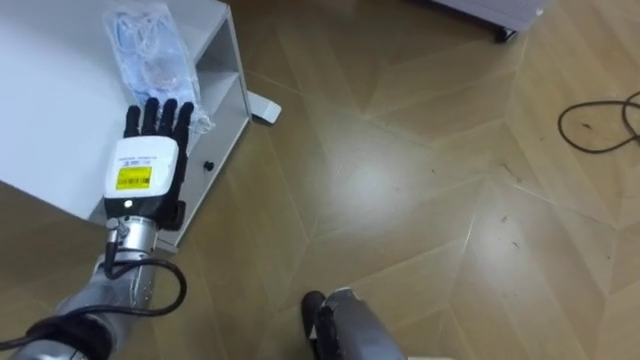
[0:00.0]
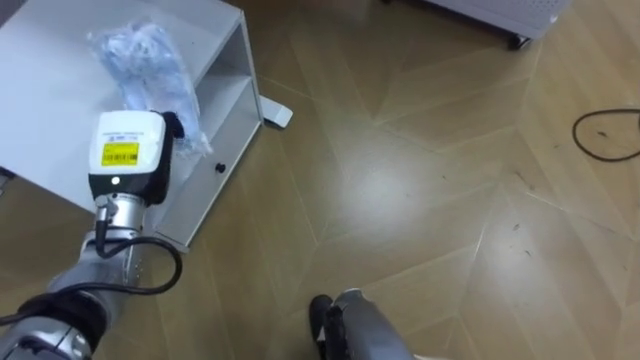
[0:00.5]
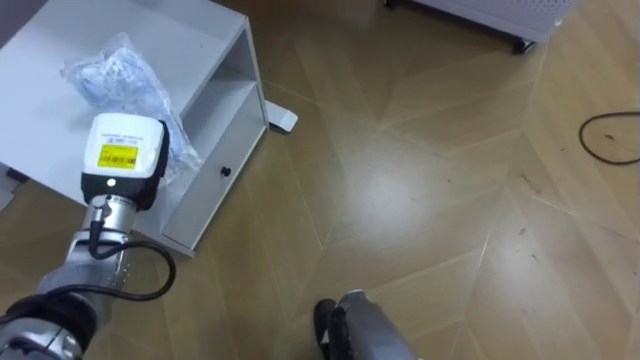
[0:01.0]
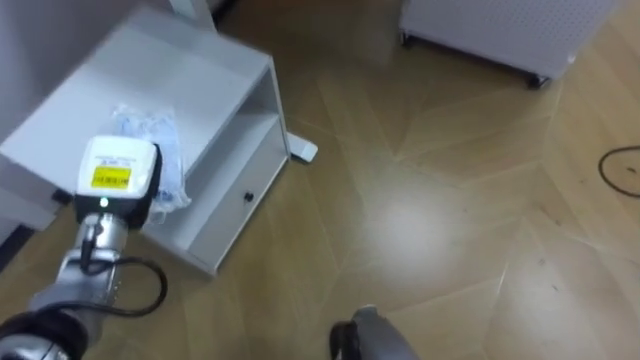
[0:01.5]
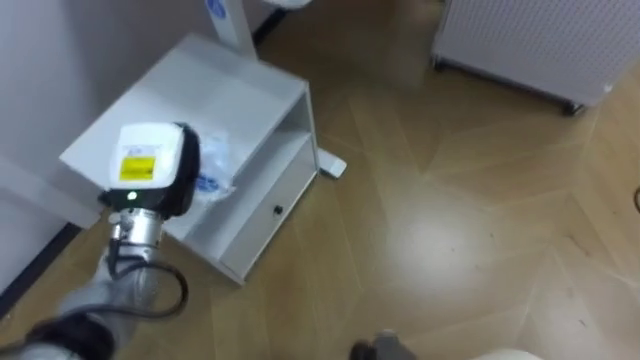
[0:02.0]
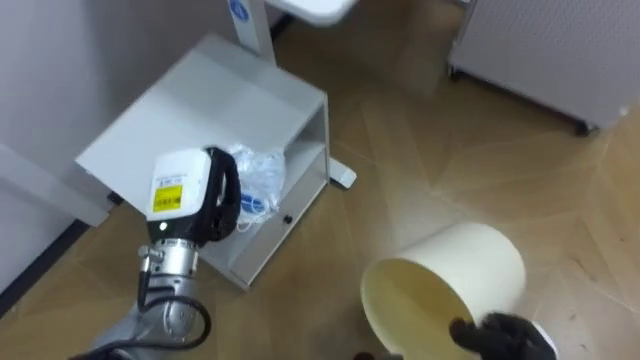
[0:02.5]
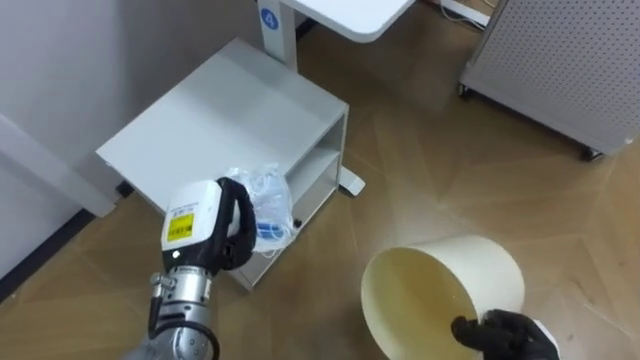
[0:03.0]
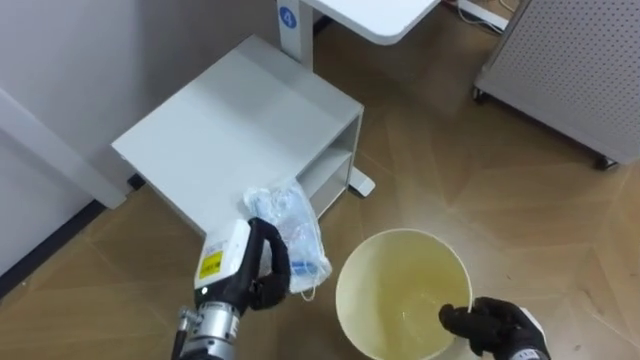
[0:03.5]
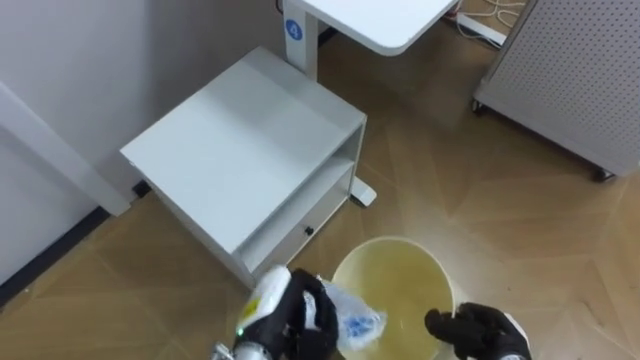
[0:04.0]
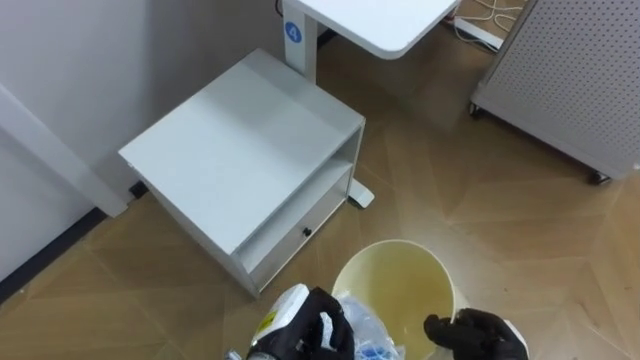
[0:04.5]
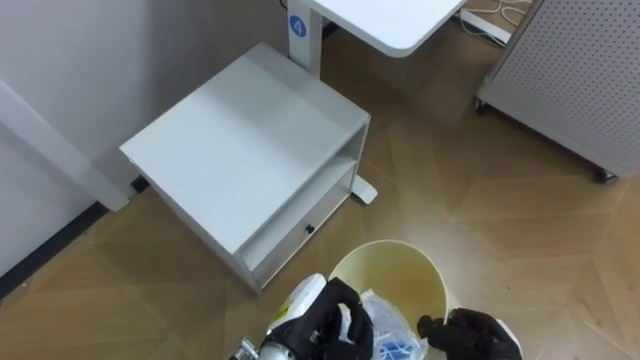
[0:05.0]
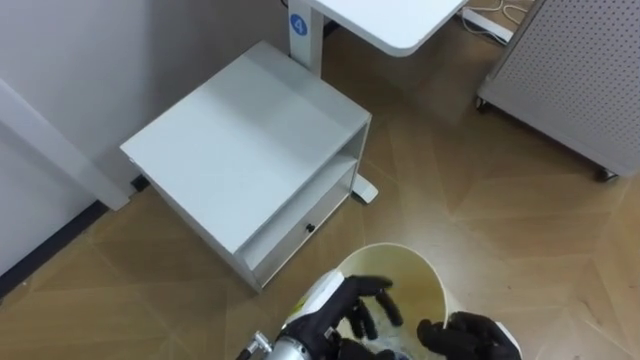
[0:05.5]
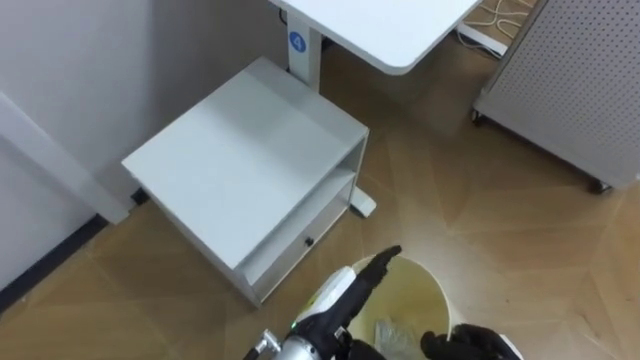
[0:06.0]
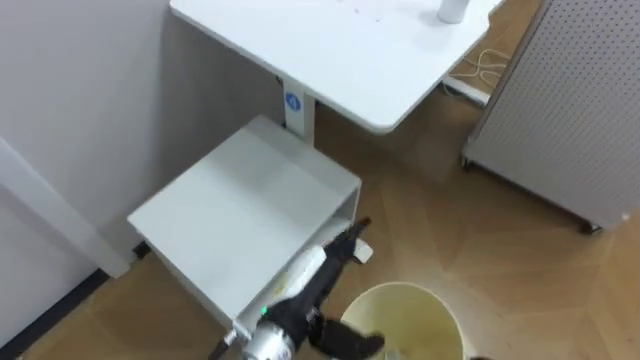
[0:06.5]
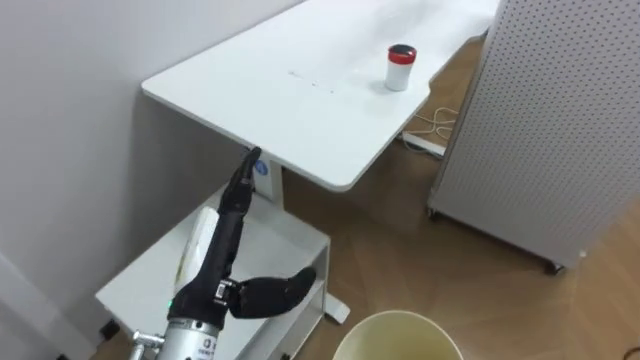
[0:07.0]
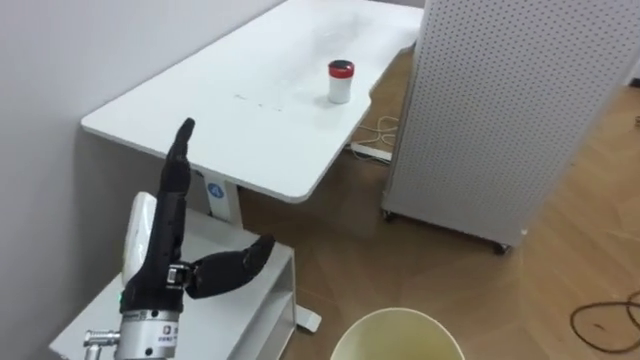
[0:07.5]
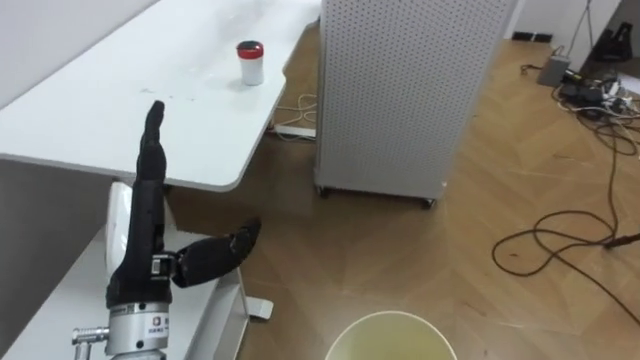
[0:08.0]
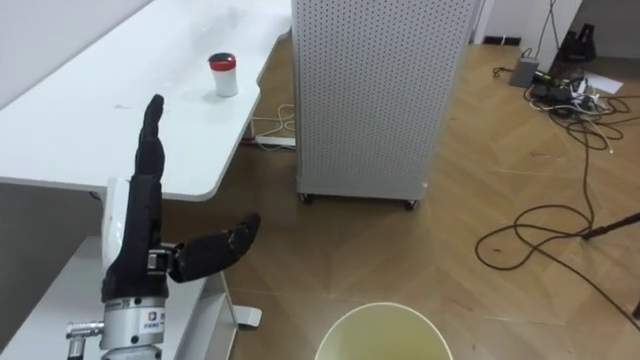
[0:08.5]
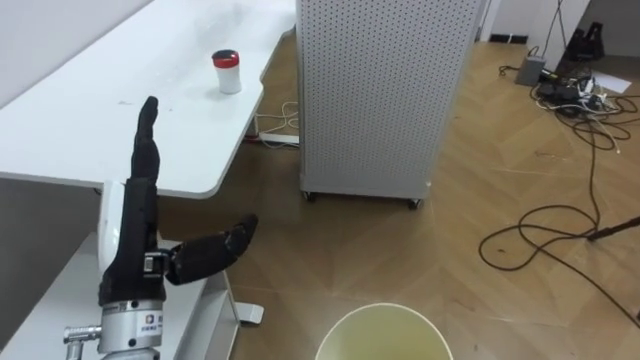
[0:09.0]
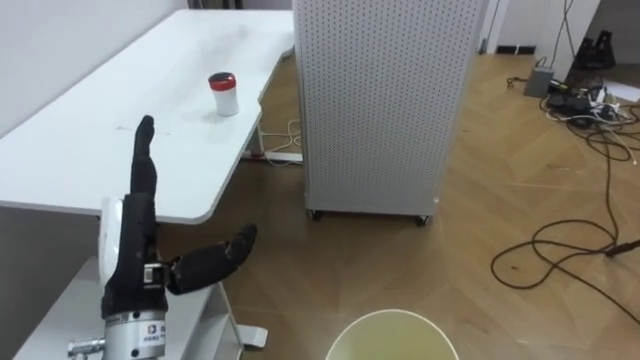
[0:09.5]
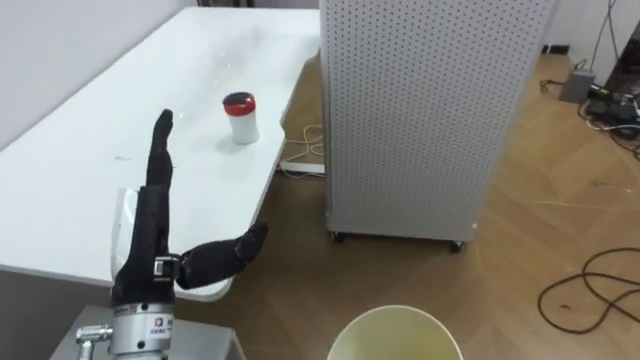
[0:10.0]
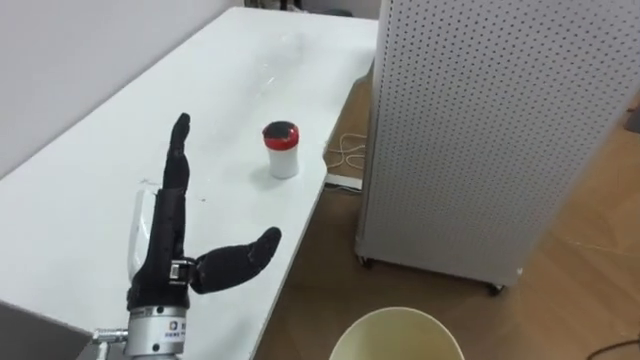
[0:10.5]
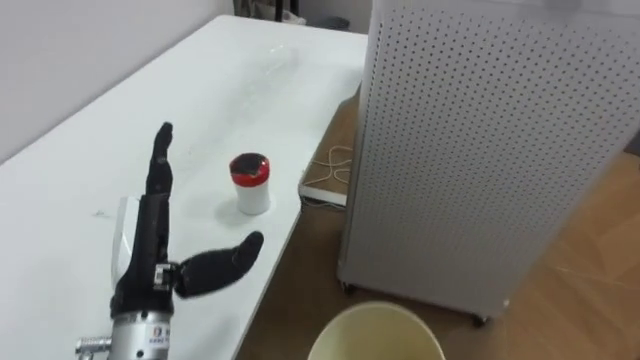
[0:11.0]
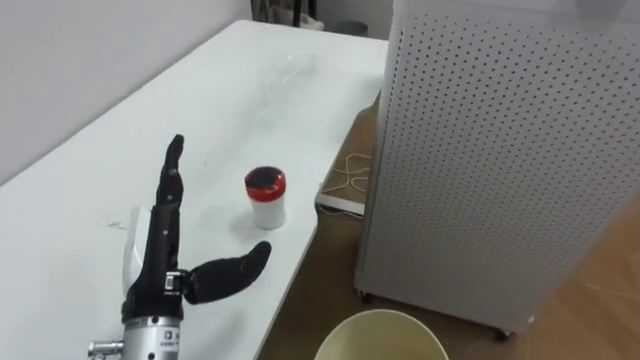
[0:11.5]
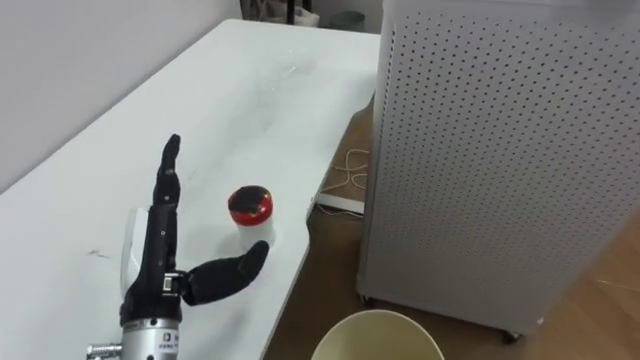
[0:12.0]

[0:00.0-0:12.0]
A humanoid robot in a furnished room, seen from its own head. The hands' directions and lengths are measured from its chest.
Task of the whole recording: Pick up the light blue package, the candy box, and the dark blue package separately, and put them into the trash can held in your right hand.
0:00.0 to 0:02.0: The left hand closes its fingers.
0:02.0 to 0:04.0: The left hand is displaced downward, to the right and backward by roughly 25 cm.
0:04.0 to 0:06.0: The left hand travels to the right by roughly 10 cm, and opens.
0:06.0 to 0:08.0: The robot's body swings some 30 degrees to its right. The left hand heads to the left and upward, covering roughly 25 cm.

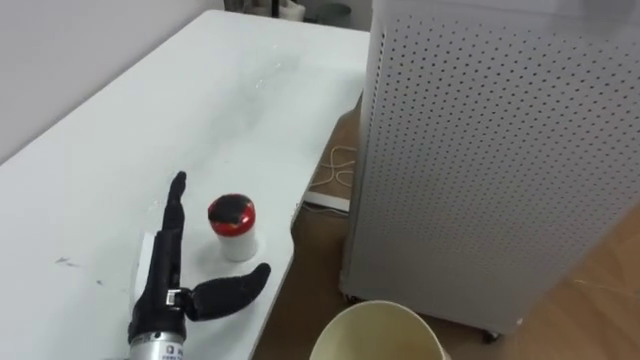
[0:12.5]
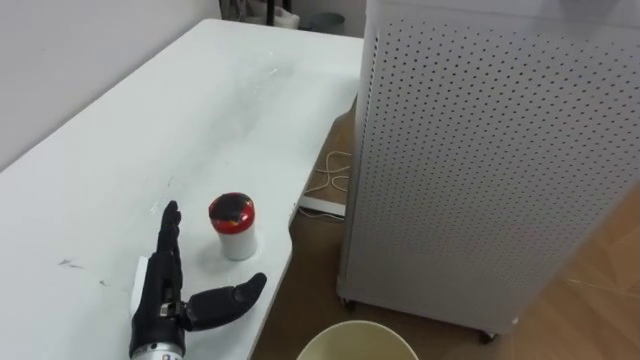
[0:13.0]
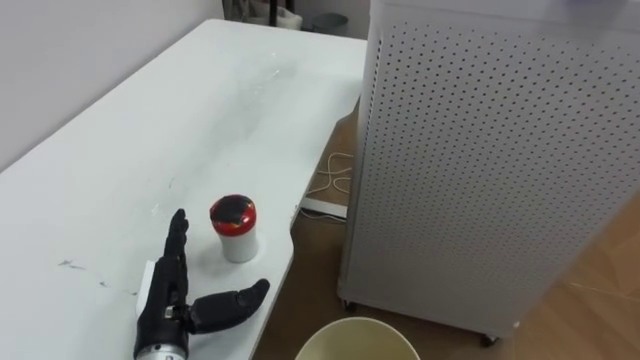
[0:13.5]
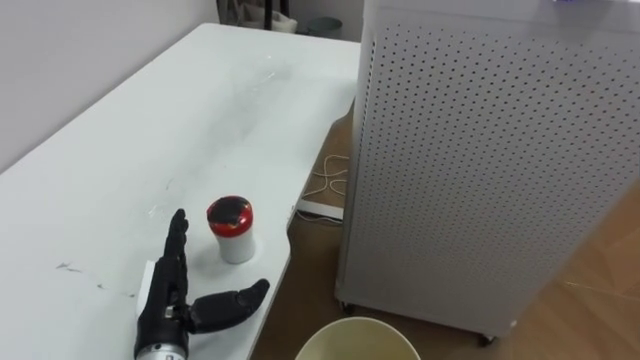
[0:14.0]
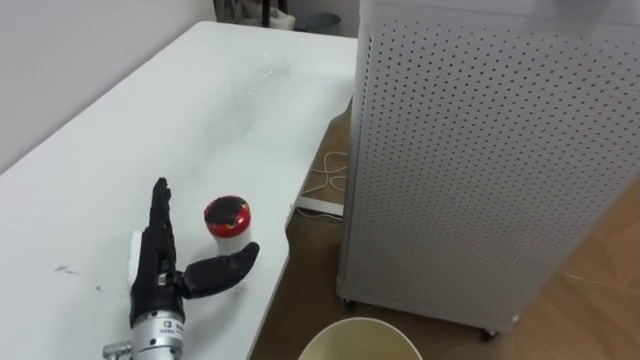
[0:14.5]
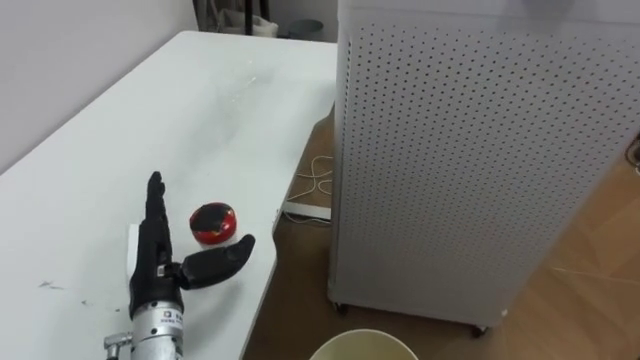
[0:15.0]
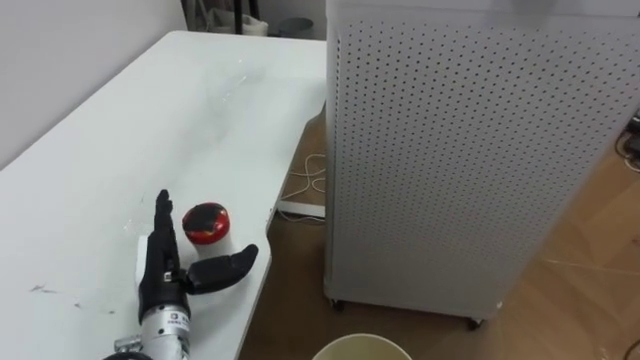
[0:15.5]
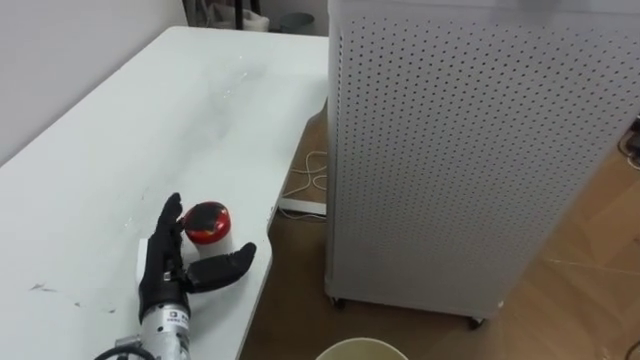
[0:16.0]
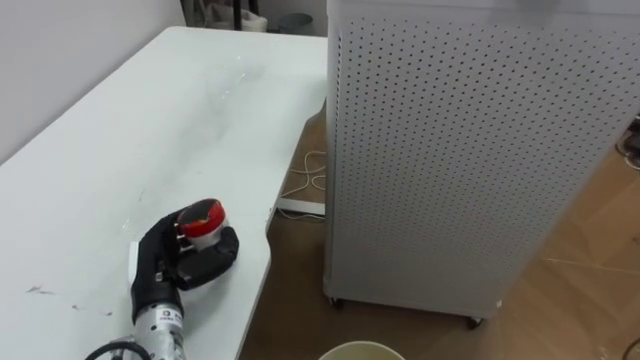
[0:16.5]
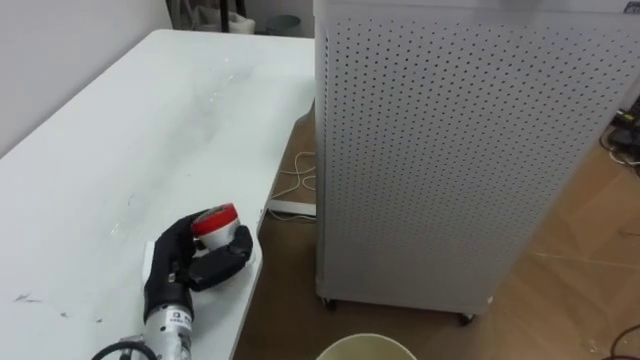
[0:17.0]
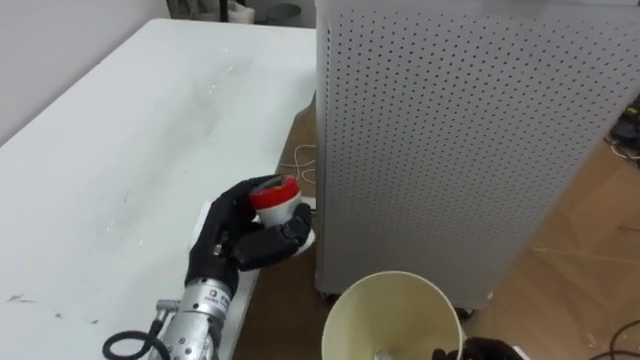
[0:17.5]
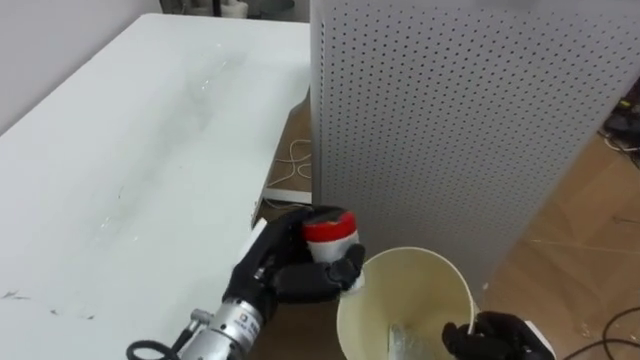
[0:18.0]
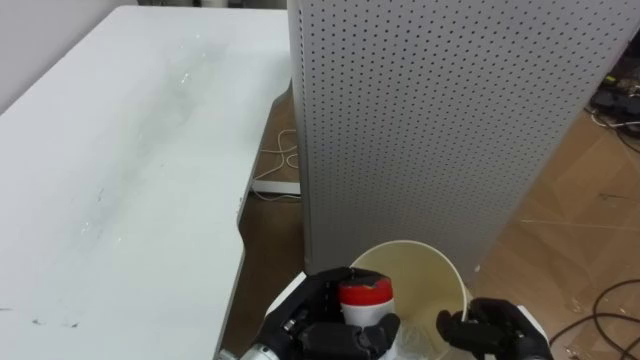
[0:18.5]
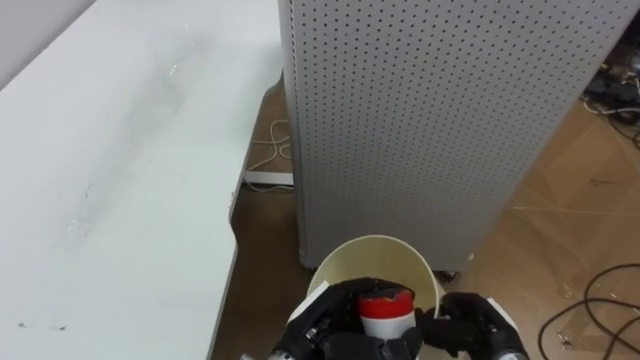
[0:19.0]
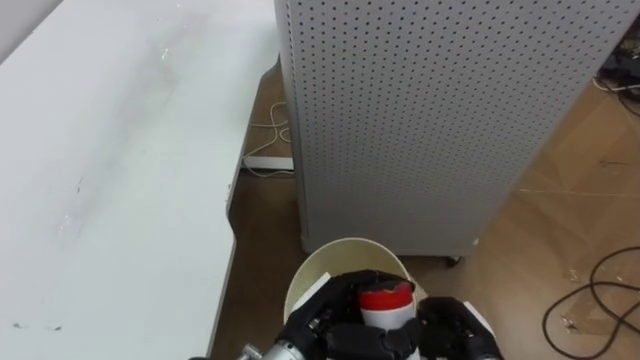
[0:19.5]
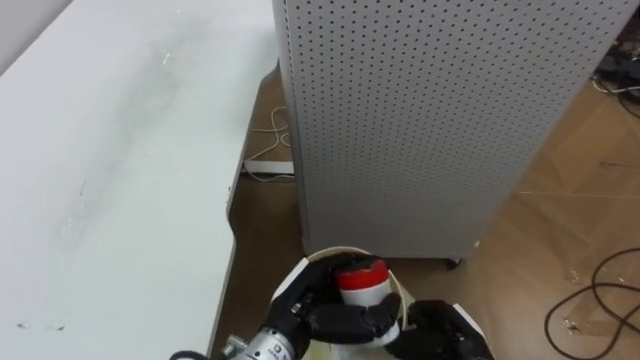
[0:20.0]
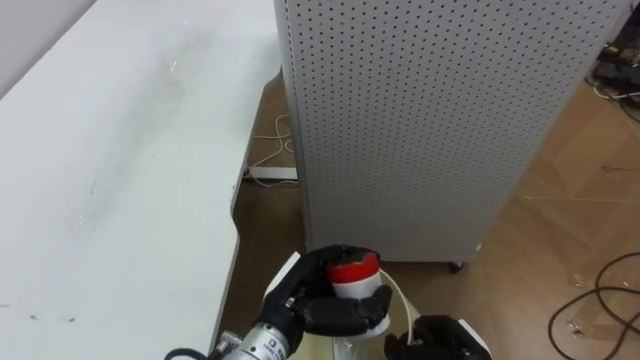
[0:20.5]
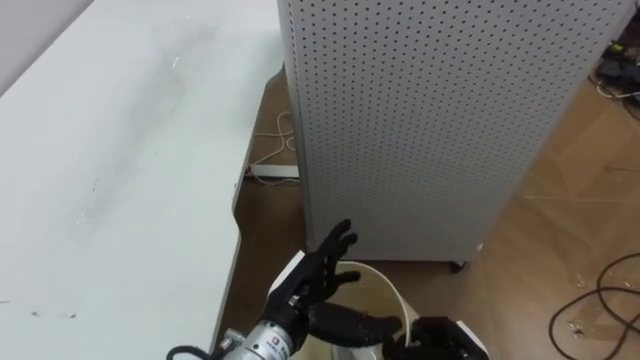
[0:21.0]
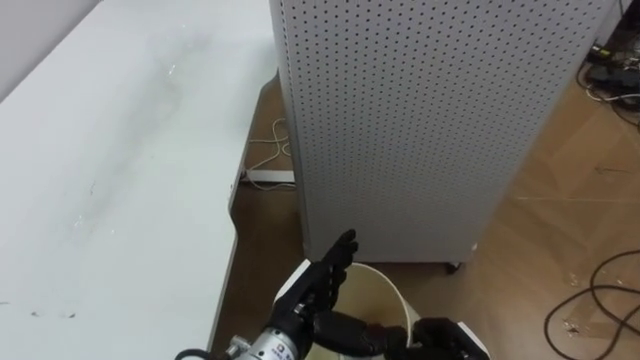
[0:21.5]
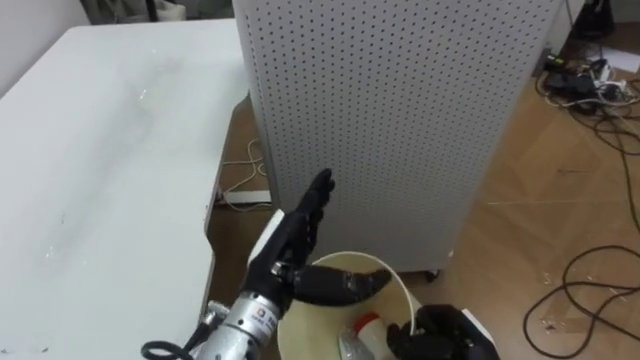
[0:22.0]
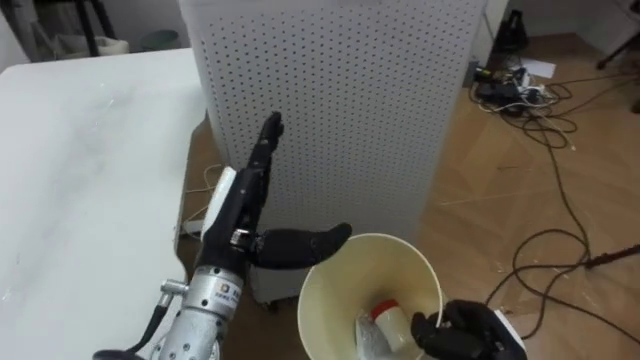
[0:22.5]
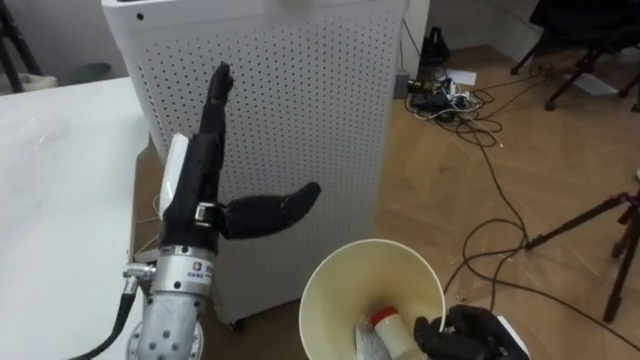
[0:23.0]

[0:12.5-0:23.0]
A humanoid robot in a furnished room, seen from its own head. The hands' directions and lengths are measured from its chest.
Task of the whole recording: Pick up the light blue package, the candy box, and the dark blue package separately, and put them into the trash can held in your right hand.
0:14.5 to 0:16.5: The left hand closes its fingers.
0:16.5 to 0:19.0: The left hand heads to the right, covering approximately 20 cm.
0:19.0 to 0:21.0: The left hand opens its fingers. The right hand moves about 5 cm.
0:21.0 to 0:23.0: The robot's body swings about 30 degrees to its right. The left hand goes approximately 20 cm upward and to the left.
